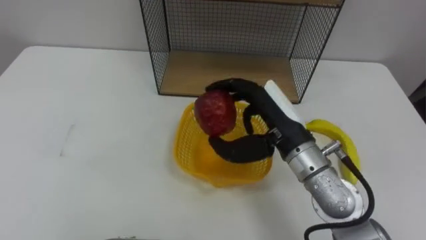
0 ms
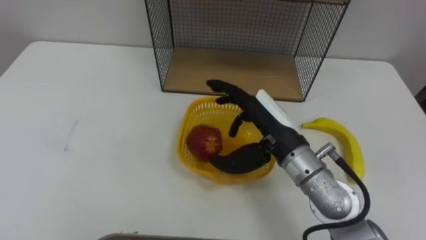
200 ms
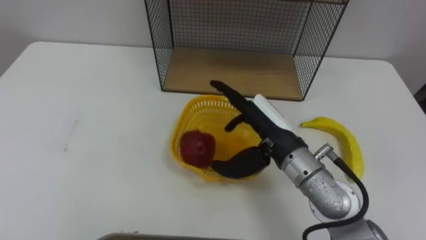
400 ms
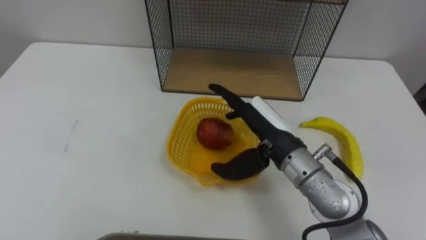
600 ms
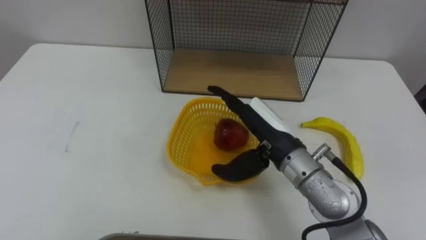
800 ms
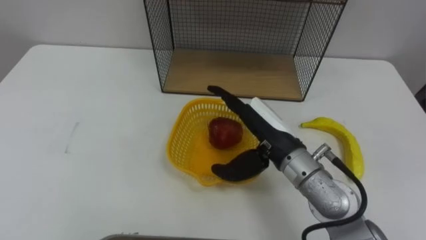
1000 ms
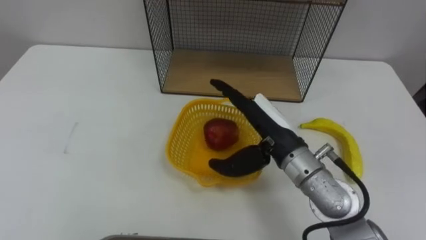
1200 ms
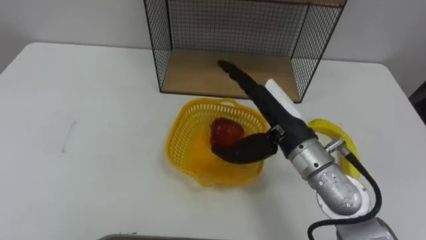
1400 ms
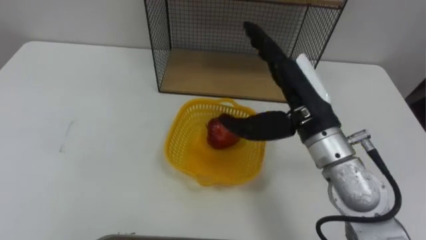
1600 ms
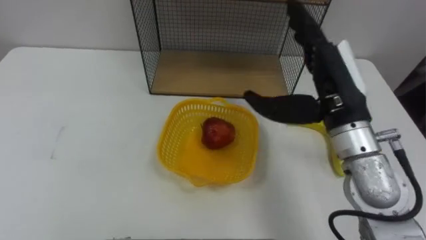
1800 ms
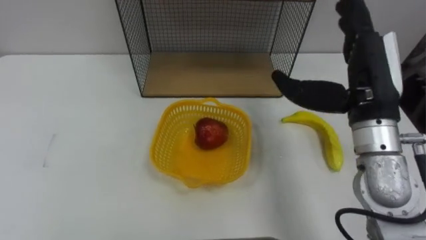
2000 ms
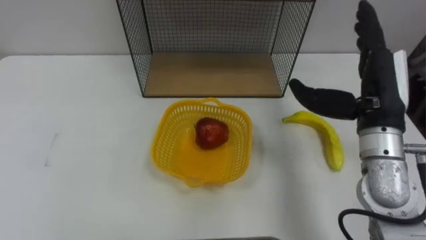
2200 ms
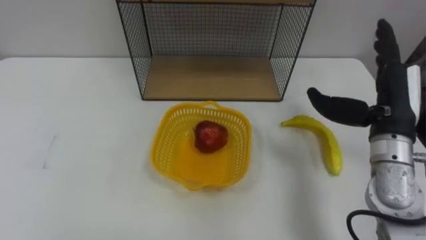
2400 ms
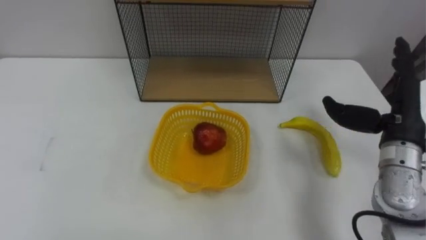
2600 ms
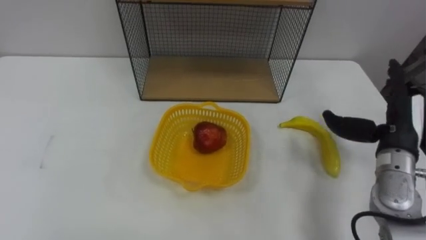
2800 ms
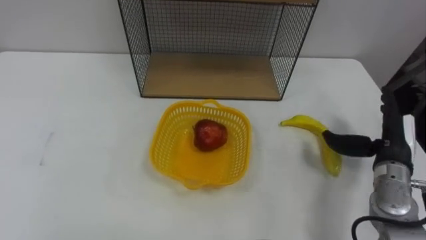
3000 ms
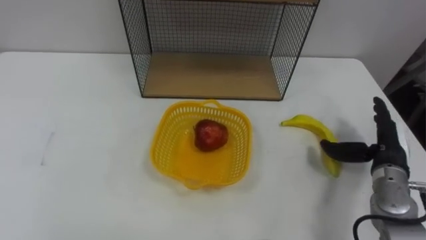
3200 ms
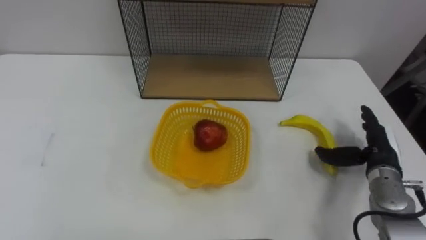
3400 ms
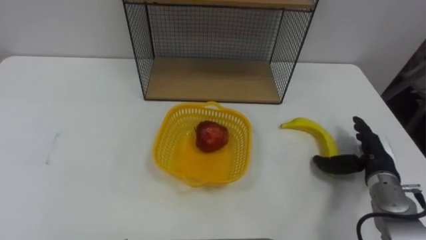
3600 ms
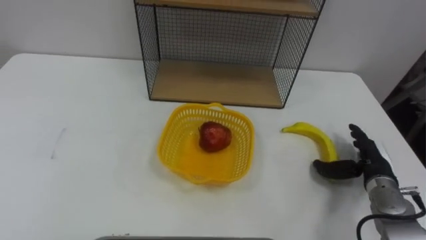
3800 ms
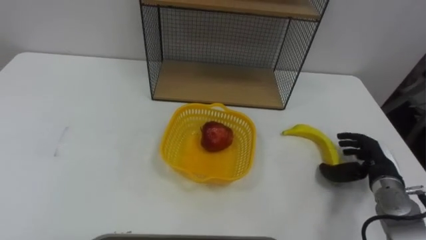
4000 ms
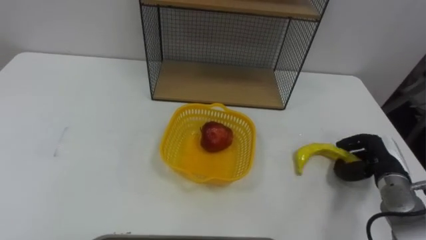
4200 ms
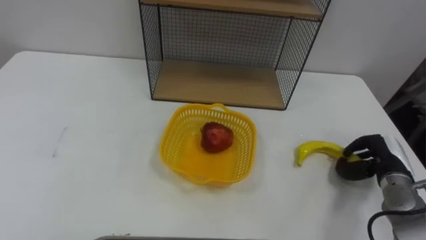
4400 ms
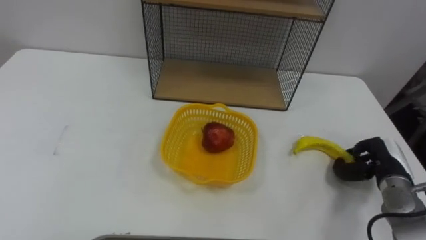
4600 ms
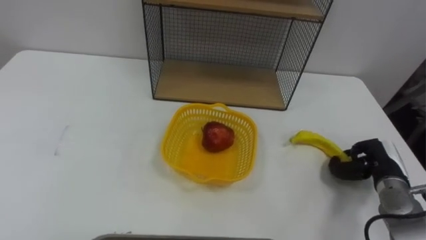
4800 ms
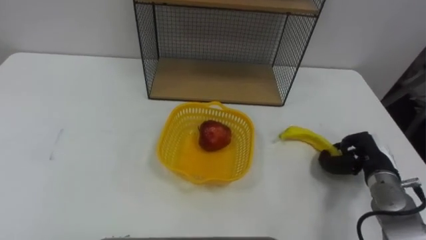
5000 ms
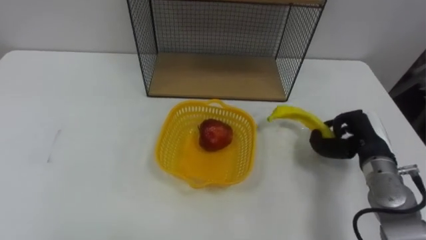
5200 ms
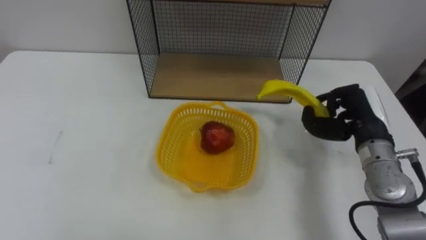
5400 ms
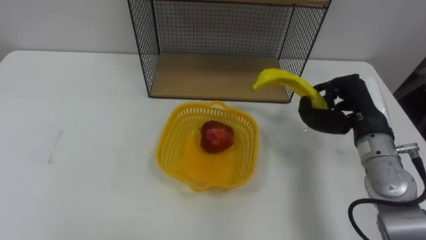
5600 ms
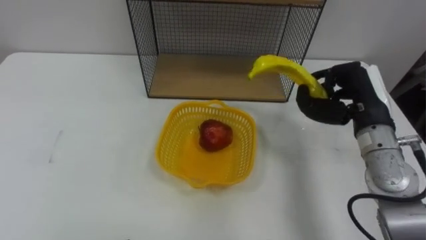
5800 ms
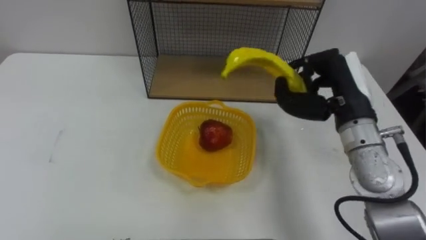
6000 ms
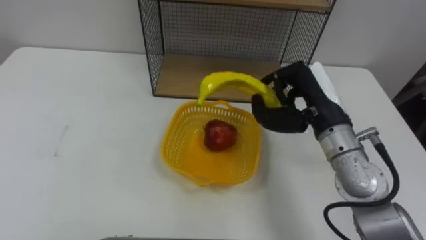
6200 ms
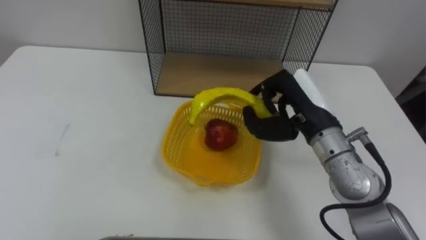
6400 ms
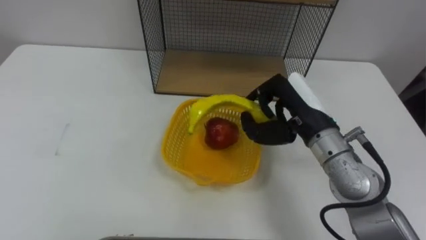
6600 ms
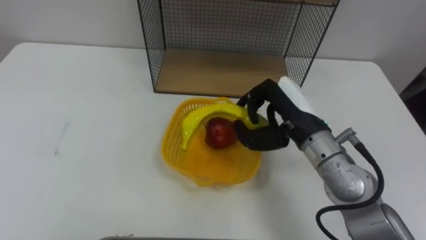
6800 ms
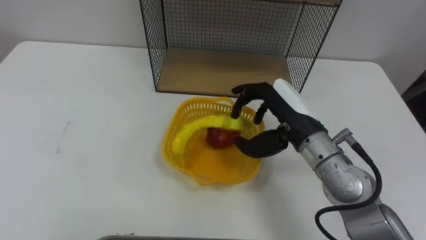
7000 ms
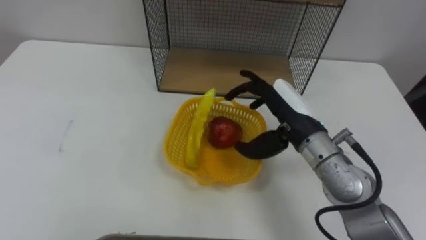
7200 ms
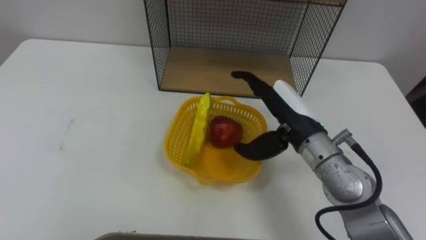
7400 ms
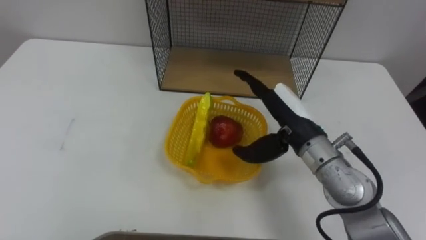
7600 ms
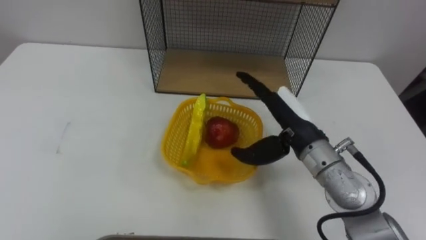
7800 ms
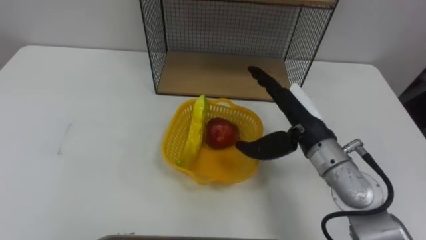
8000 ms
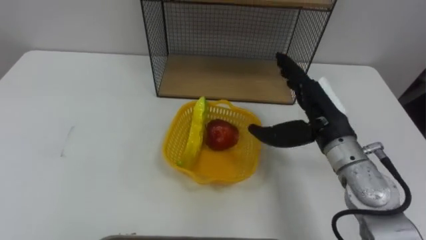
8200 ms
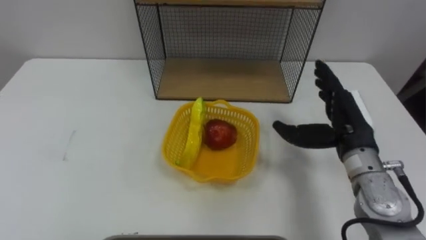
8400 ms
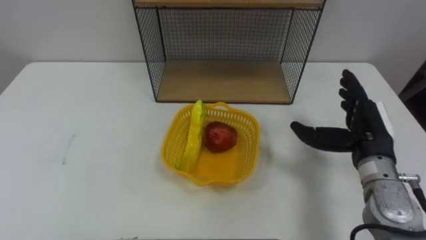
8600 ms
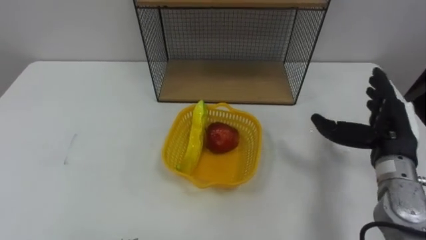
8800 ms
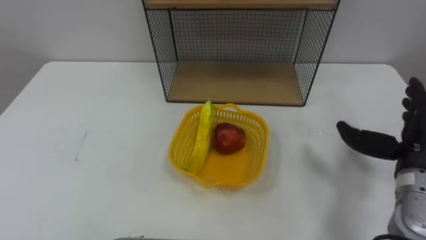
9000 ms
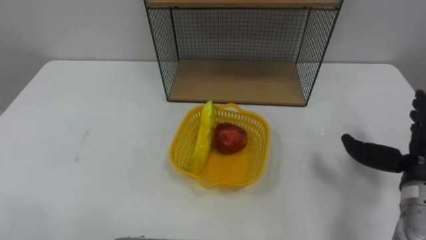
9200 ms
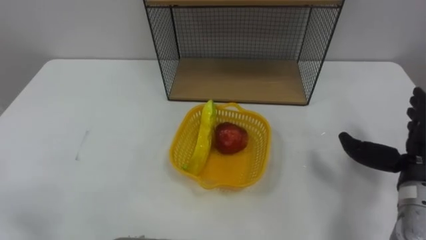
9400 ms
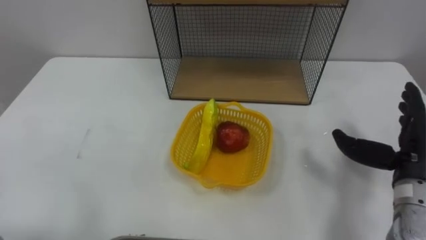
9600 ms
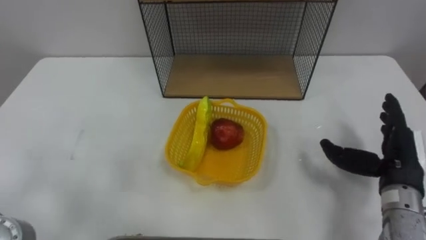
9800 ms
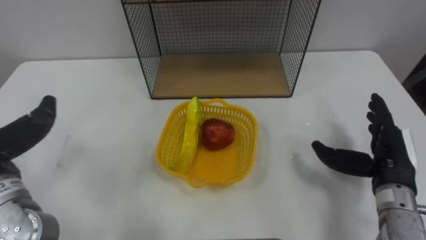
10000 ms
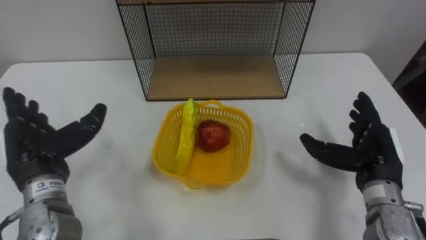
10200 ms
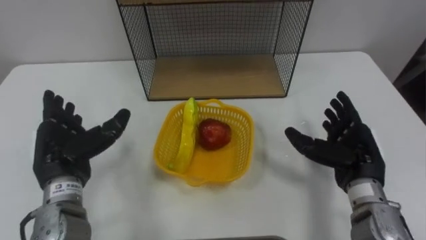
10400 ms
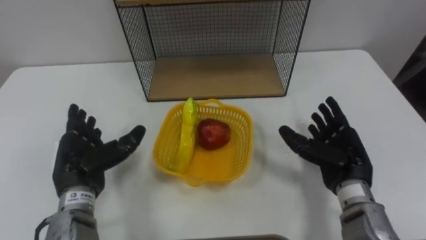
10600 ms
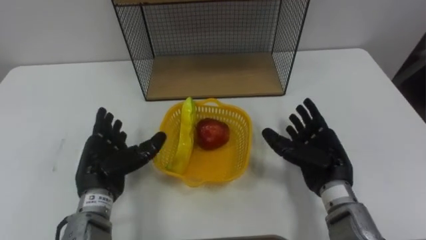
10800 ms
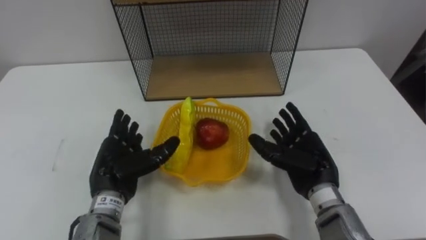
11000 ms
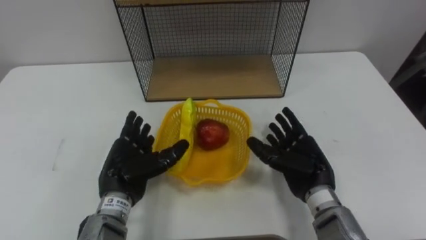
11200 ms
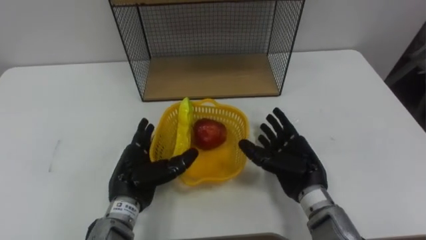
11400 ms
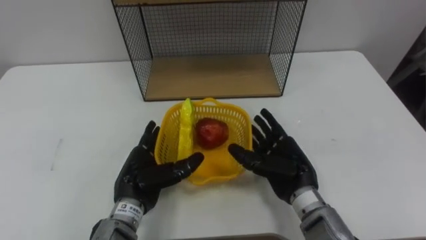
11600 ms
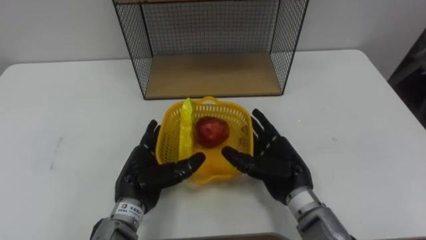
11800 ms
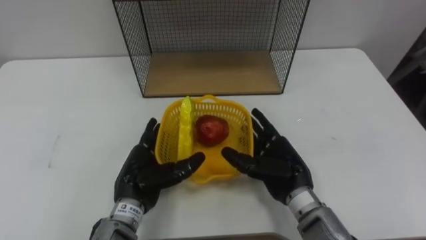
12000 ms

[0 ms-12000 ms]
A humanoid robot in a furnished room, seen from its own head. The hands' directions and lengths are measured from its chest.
Task of the whole recording: Put the fruit on the table into the basket, then place the basket on the shelf.
0 ms to 1600 ms: The right hand opens.
1600 ms to 3000 ms: The right hand travels to the right and downward by roughly 25 cm.
3000 ms to 4400 ms: The right hand travels downward by roughly 10 cm, and closes.
4400 ms to 6000 ms: The right hand travels upward and to the left by about 20 cm.
6000 ms to 7600 ms: The right hand shifts about 10 cm to the left, and opens its fingers.
7600 ms to 9000 ms: The right hand heads to the right, covering approximately 20 cm.
10400 ms to 12000 ms: The left hand heads to the right and downward, covering roughly 15 cm. Meanwhile the right hand goes roughly 15 cm to the left.

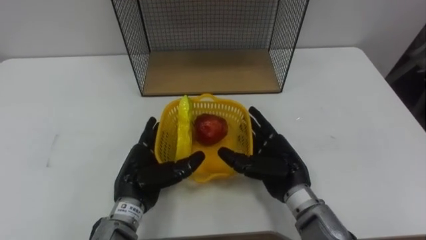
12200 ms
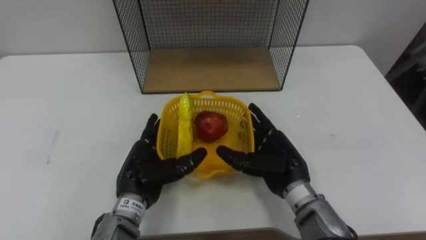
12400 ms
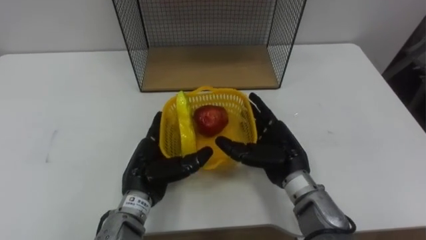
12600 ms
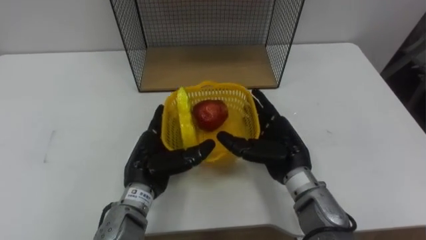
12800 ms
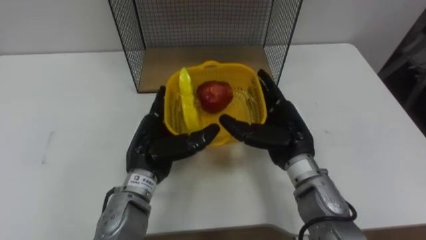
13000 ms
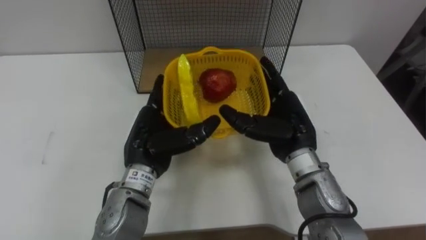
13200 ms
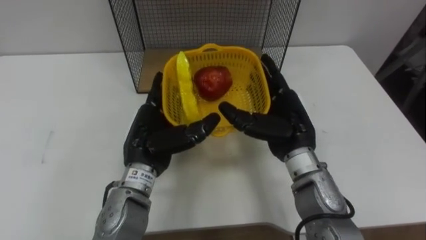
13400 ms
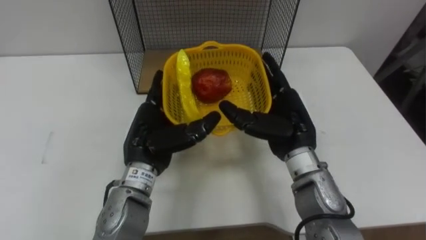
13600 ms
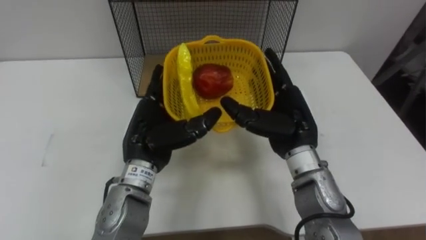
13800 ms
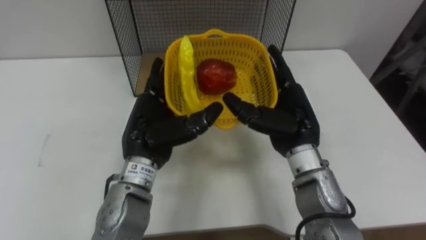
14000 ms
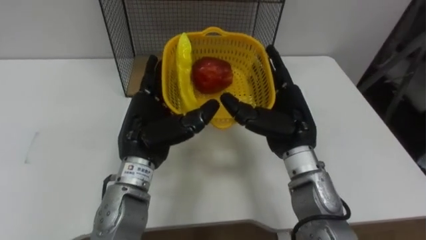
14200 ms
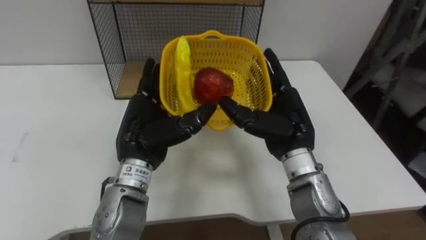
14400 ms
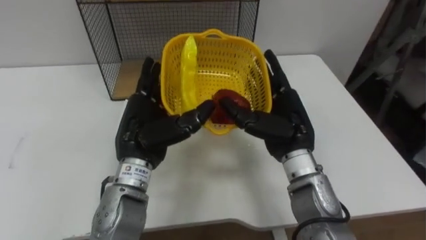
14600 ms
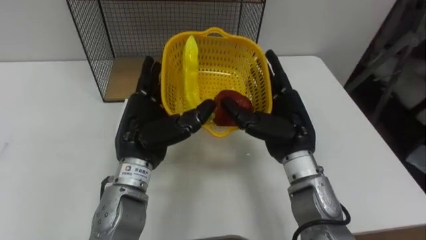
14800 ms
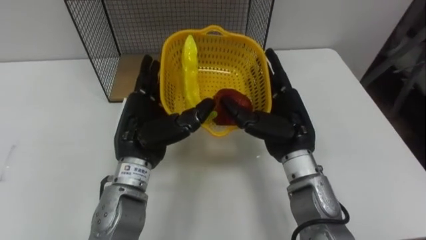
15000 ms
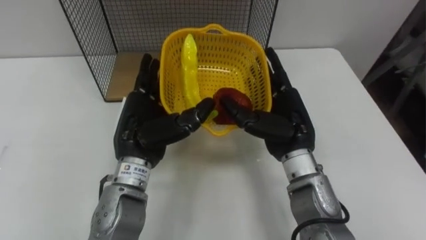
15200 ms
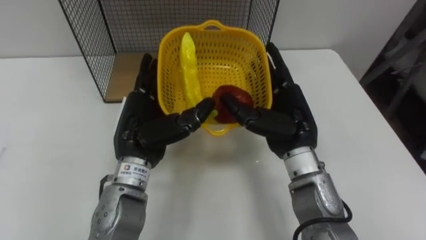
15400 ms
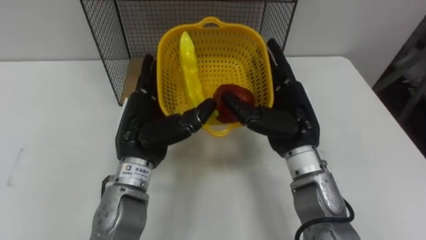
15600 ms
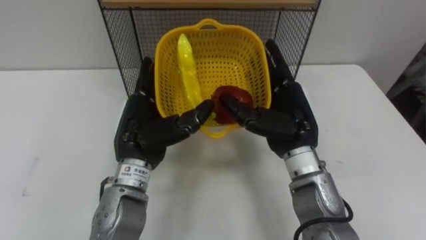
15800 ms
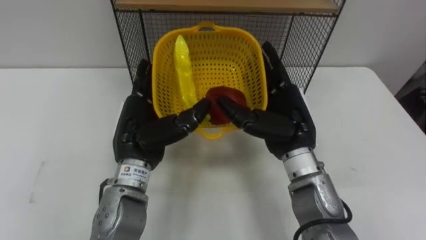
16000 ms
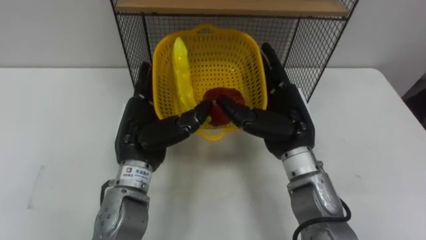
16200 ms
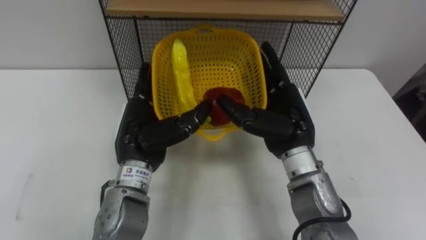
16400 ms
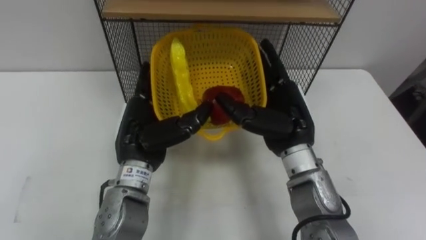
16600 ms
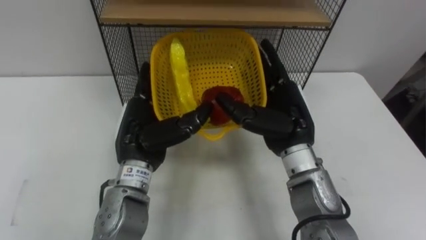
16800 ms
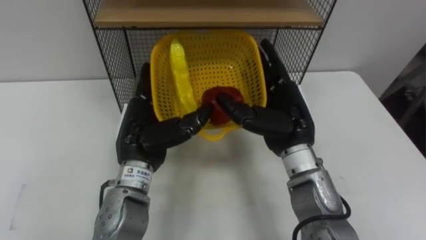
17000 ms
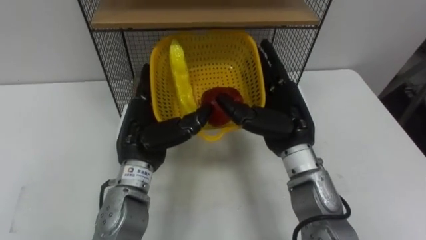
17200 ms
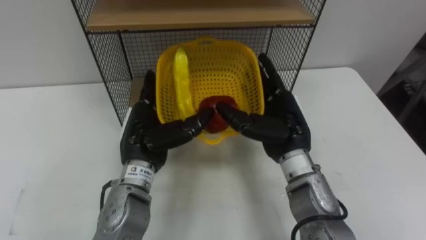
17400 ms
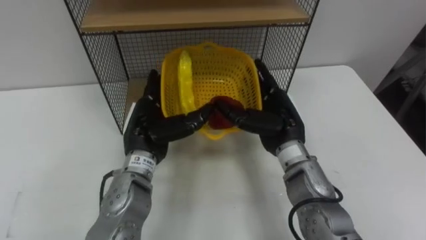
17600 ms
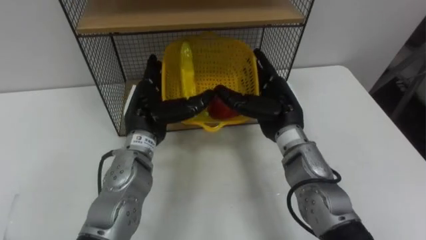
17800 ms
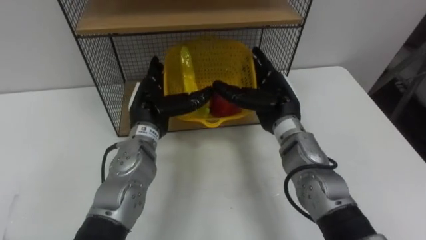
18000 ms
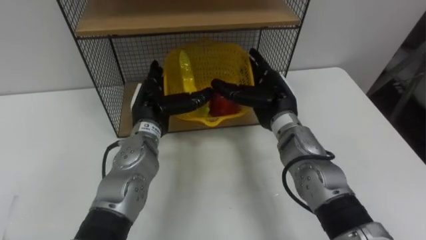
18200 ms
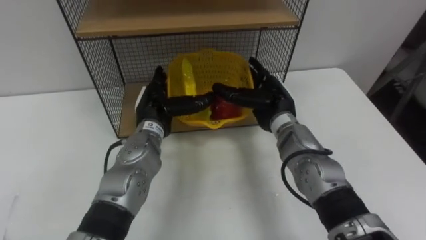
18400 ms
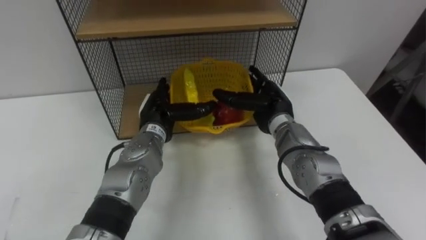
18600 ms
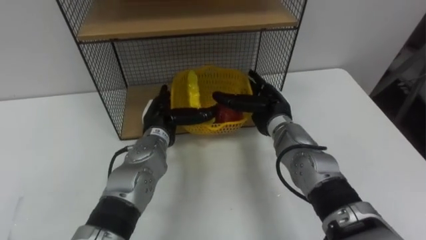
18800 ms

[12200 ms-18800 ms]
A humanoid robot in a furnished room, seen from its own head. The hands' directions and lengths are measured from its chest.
Task of the whole recording: Put the fruit on the table into the basket, then place the basket on the shelf.
12200 ms to 13800 ms: The two hands go roughly 10 cm upward.
17200 ms to 18800 ms: Both hands move forward and downward, roughly 10 cm.
